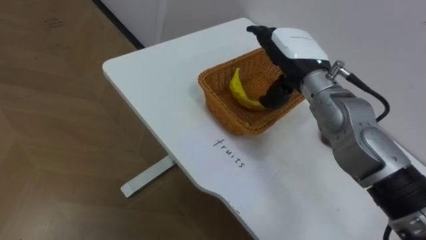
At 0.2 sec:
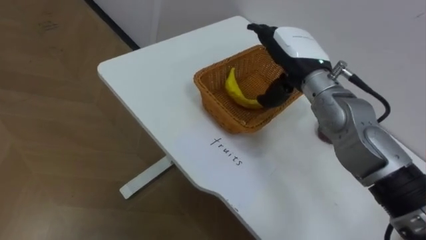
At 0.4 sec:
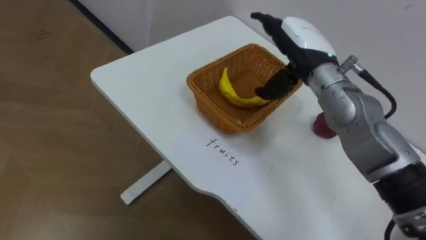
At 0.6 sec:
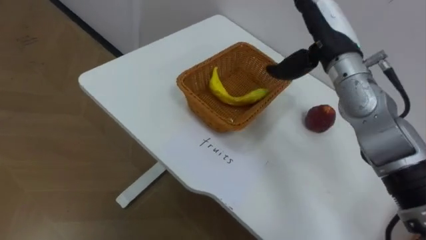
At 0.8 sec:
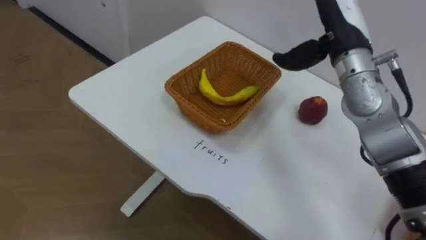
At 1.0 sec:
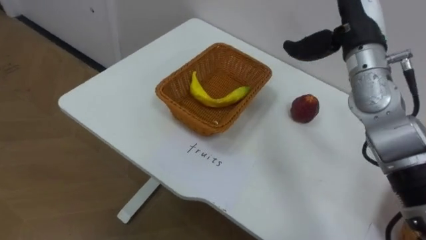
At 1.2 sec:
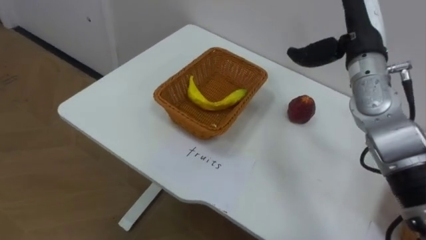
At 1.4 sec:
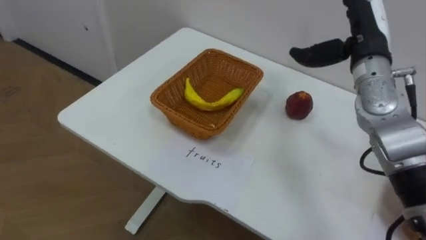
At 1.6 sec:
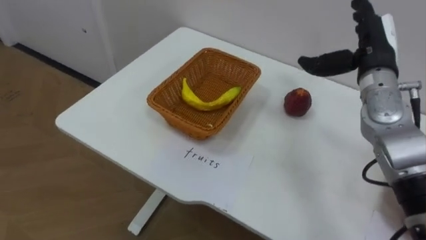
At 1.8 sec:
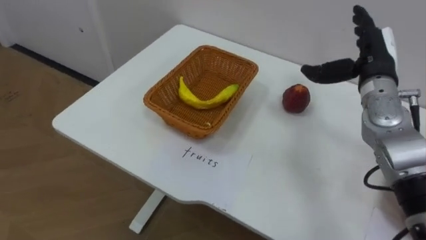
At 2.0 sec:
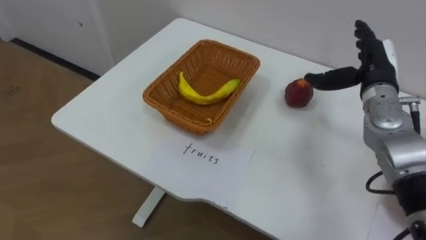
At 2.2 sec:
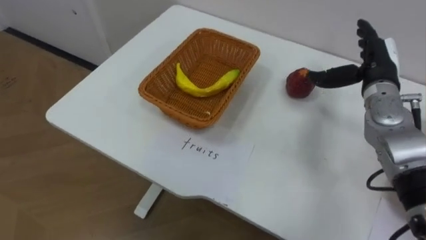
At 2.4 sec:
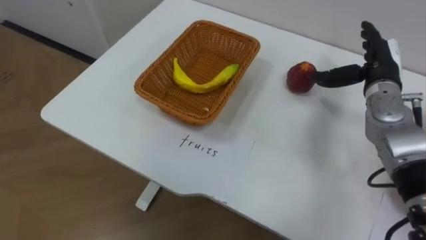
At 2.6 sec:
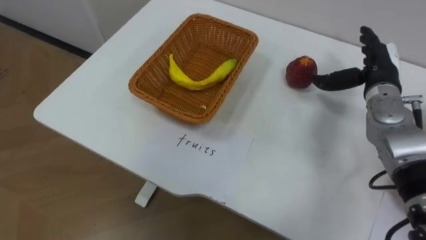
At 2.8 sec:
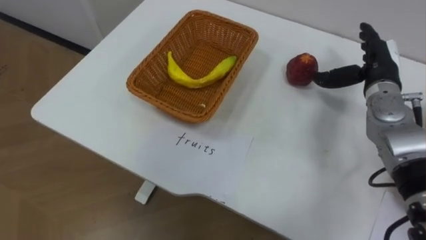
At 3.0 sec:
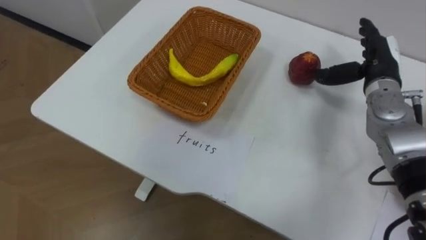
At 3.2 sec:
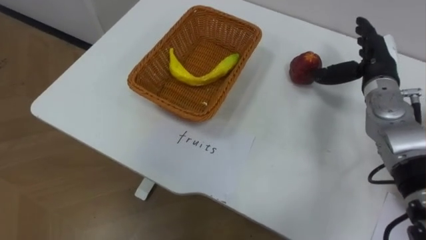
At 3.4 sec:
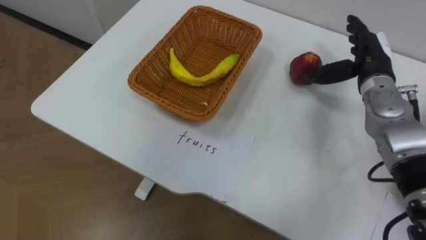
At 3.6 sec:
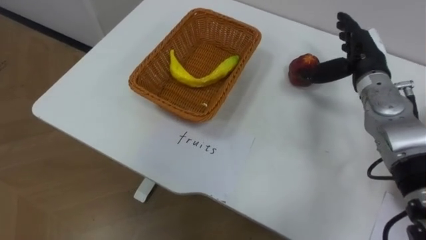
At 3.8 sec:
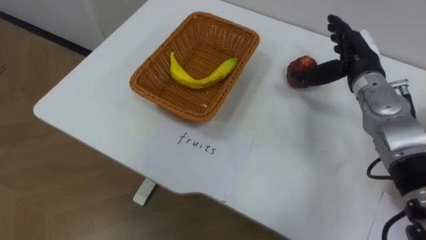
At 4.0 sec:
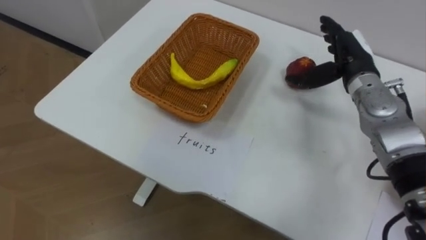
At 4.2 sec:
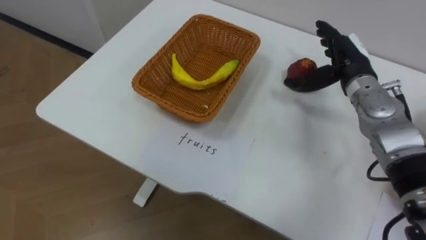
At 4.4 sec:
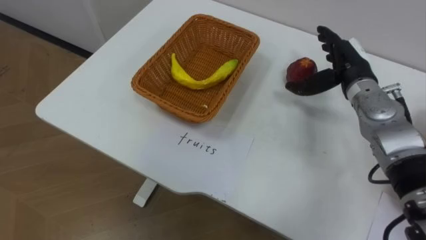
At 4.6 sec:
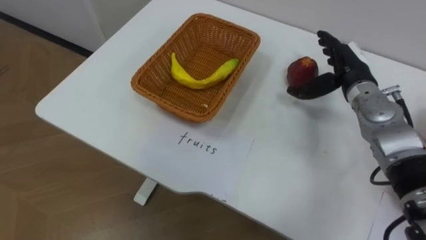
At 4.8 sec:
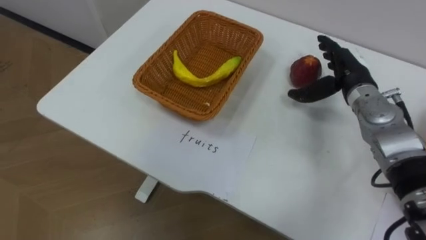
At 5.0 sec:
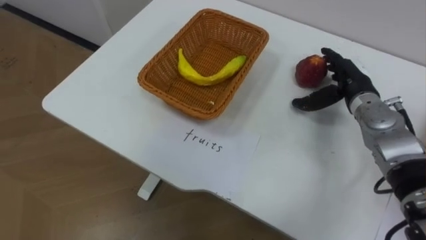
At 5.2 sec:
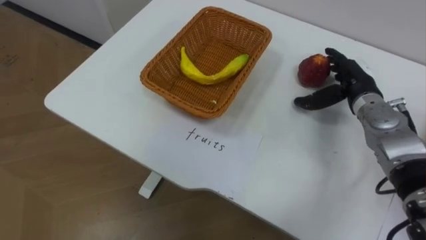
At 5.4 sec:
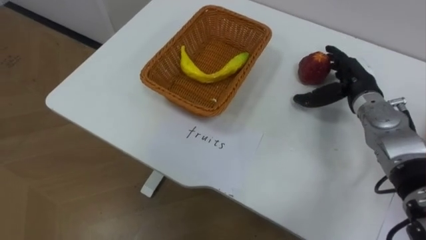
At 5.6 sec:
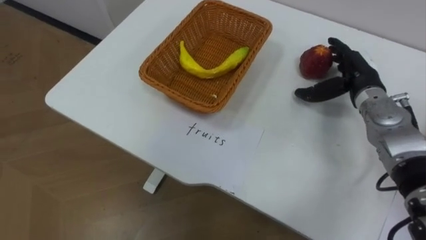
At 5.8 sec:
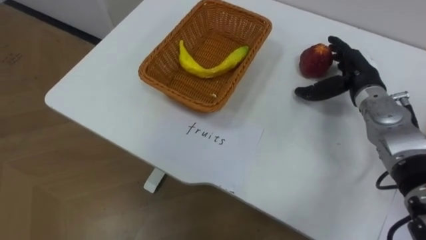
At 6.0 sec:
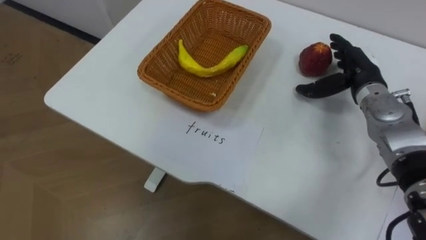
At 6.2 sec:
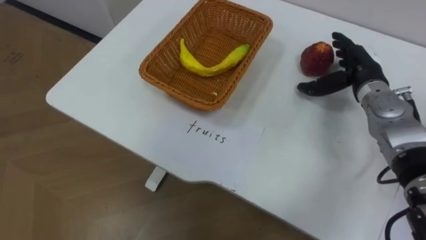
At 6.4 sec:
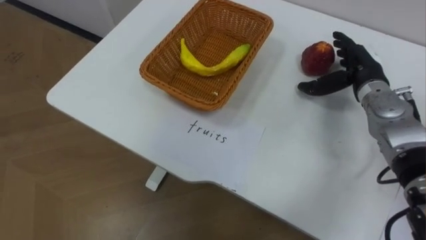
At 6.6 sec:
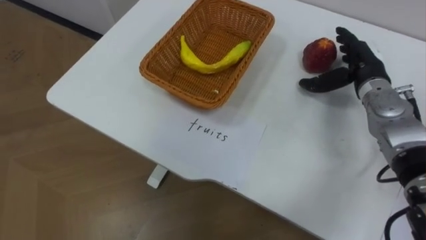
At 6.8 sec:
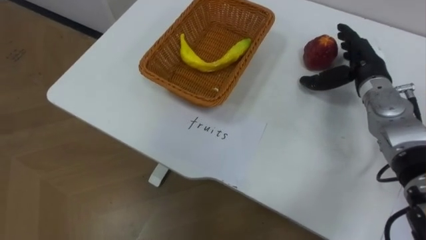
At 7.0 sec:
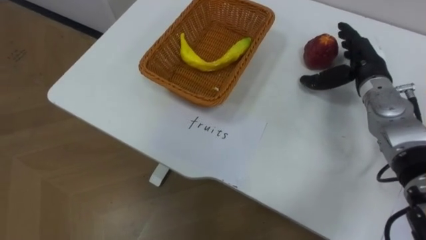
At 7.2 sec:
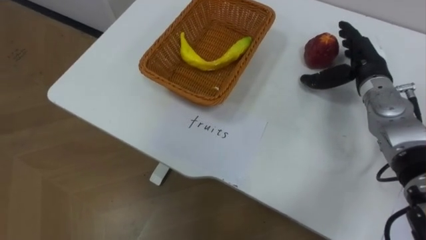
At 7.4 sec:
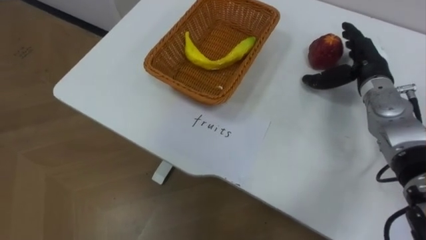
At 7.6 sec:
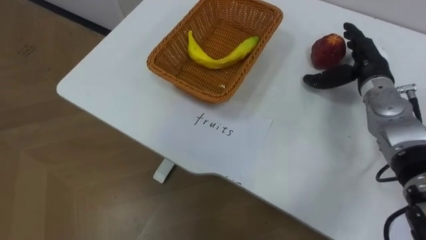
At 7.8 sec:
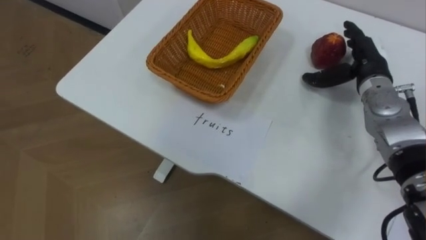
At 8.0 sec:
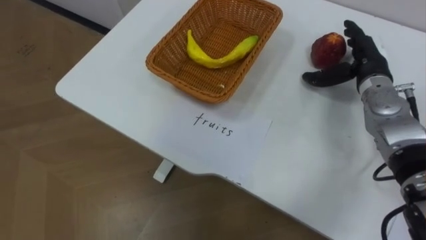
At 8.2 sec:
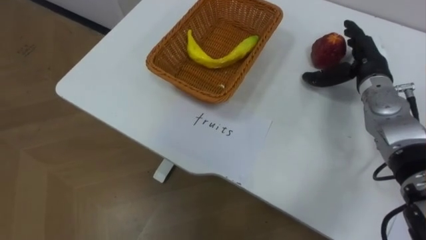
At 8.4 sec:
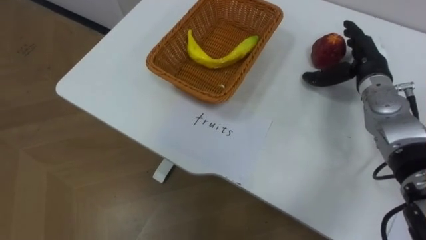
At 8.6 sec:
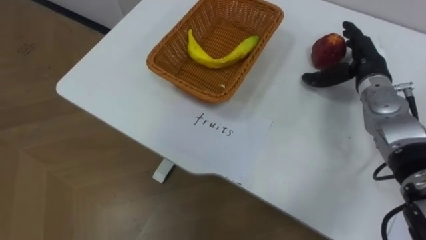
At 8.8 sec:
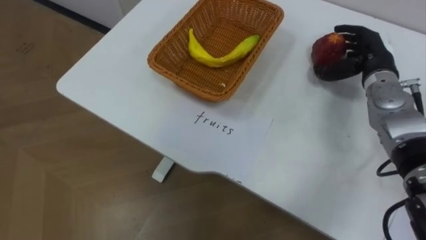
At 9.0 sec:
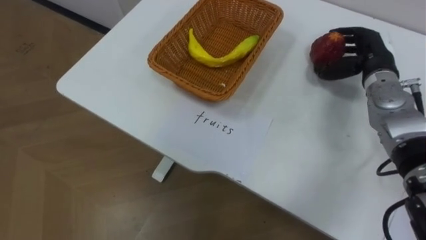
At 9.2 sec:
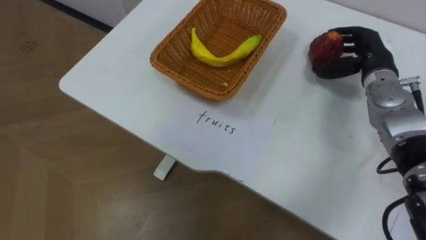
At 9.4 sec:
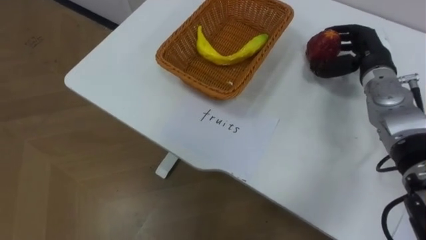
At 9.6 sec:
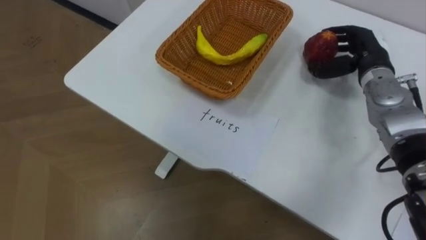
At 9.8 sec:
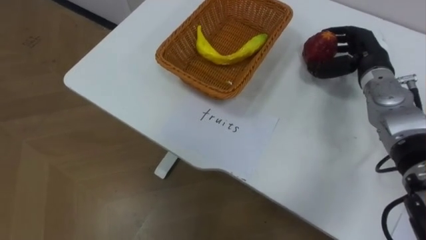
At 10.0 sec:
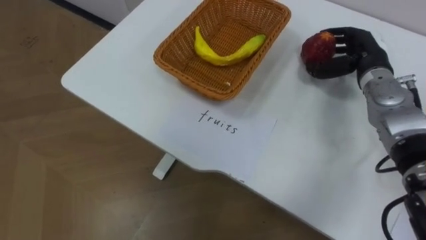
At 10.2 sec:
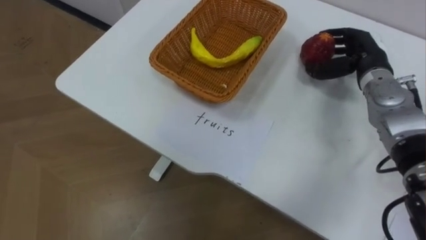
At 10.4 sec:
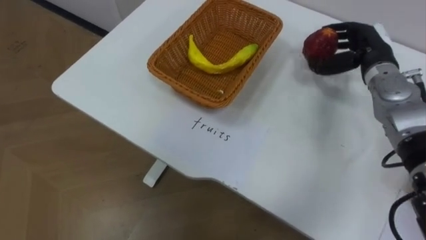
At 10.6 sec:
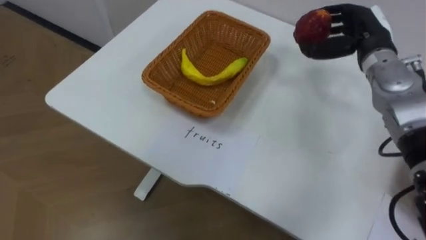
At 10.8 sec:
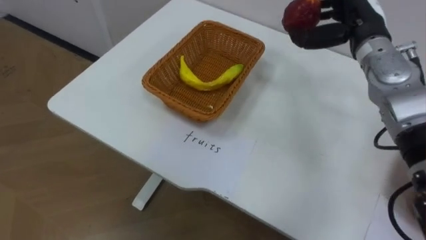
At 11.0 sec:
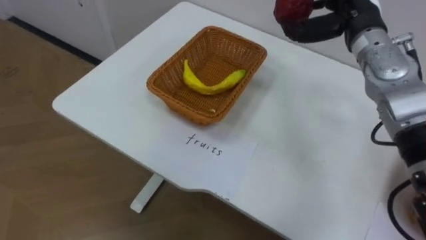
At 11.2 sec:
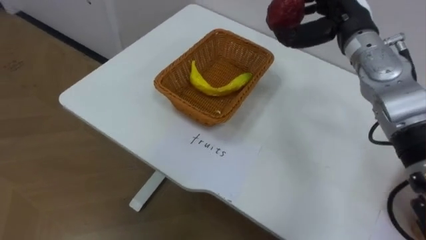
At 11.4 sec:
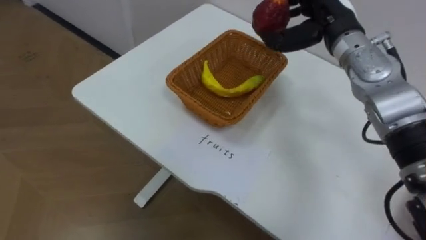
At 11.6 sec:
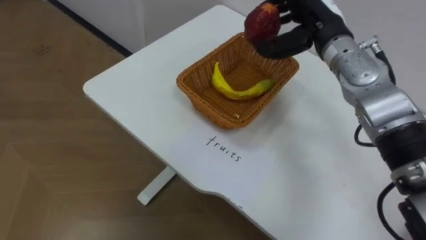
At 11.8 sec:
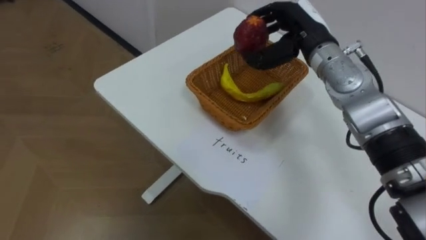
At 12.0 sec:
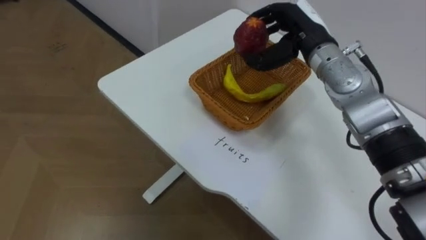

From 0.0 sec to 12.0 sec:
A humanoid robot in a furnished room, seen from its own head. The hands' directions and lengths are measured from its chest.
Task of the whole recording: Separate the items on the table and place them into the two baskets.
From 0.0 sec to 1.6 sec: The right hand moves to the right, some 10 cm.
From 1.6 sec to 3.0 sec: The right hand shifts by about 5 cm.
From 7.6 sec to 9.0 sec: The right hand closes up.
From 10.4 sec to 12.0 sec: The right hand travels to the left by approximately 15 cm.

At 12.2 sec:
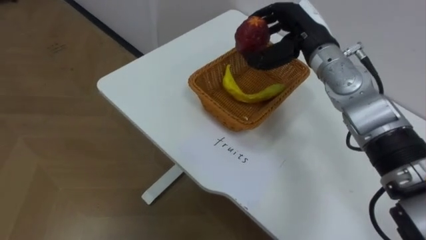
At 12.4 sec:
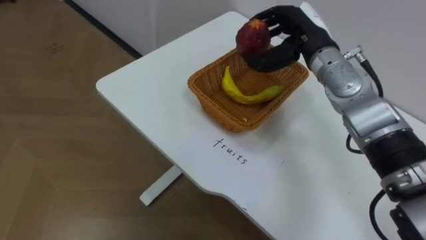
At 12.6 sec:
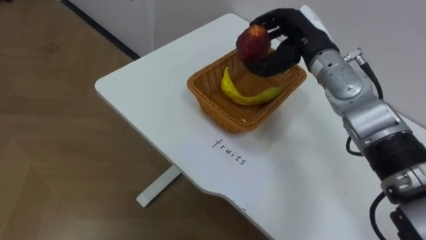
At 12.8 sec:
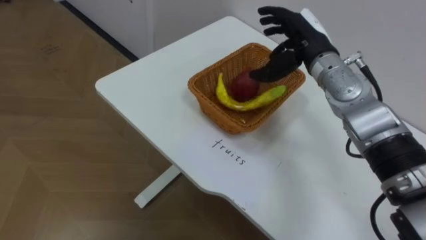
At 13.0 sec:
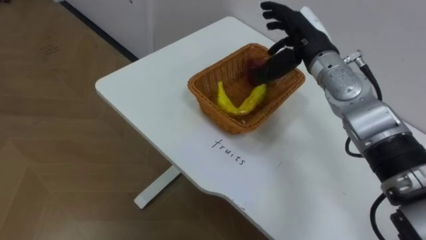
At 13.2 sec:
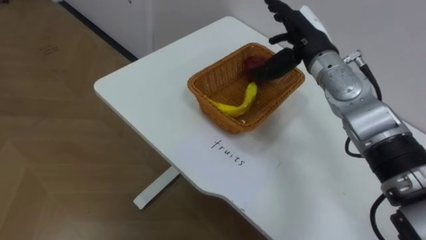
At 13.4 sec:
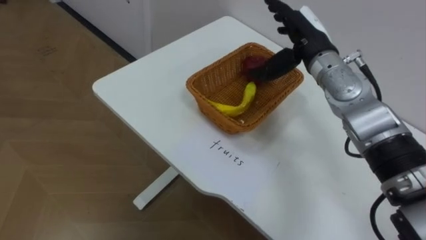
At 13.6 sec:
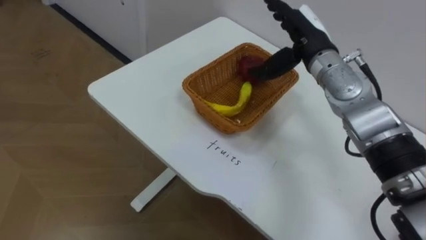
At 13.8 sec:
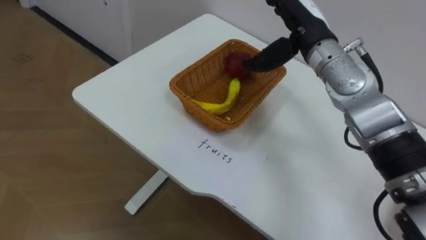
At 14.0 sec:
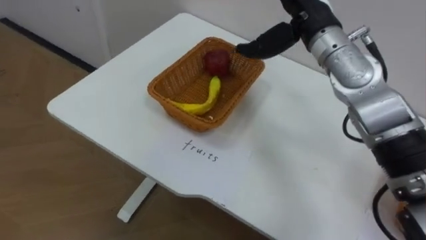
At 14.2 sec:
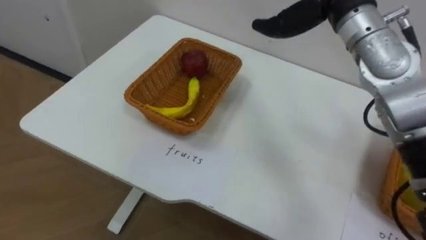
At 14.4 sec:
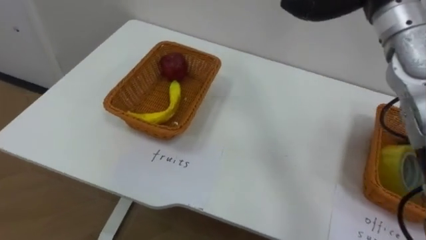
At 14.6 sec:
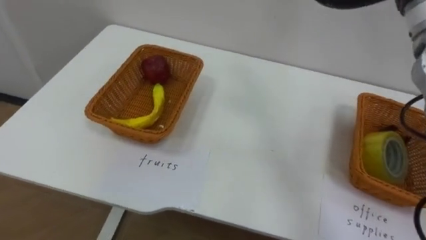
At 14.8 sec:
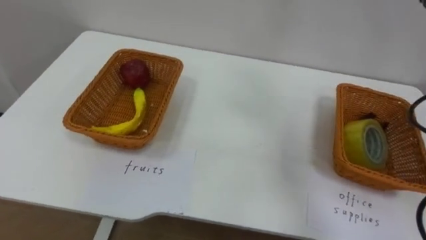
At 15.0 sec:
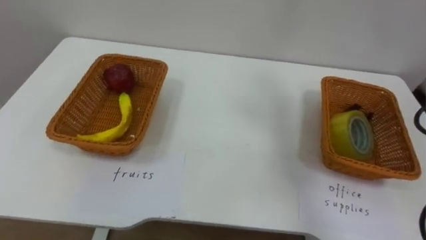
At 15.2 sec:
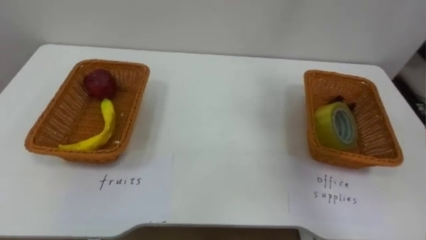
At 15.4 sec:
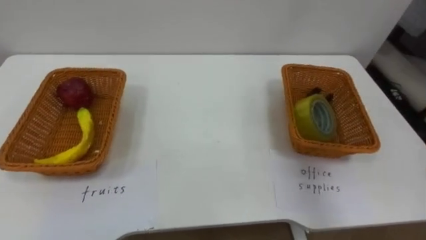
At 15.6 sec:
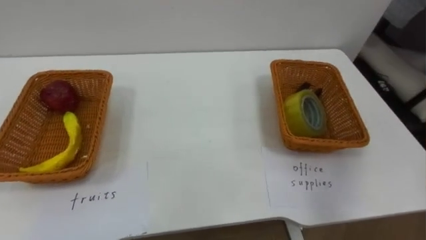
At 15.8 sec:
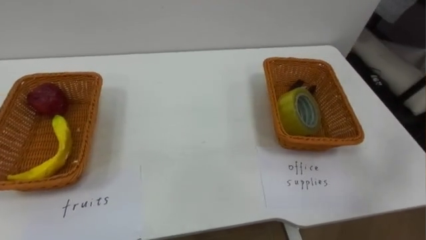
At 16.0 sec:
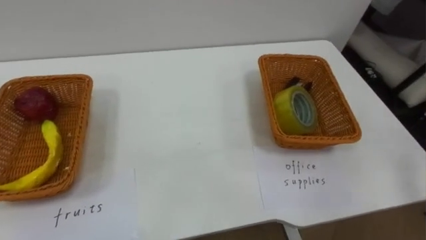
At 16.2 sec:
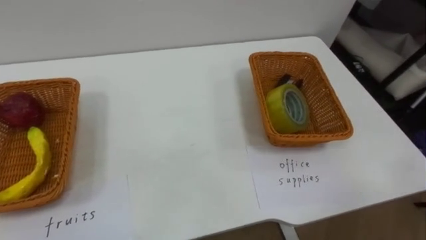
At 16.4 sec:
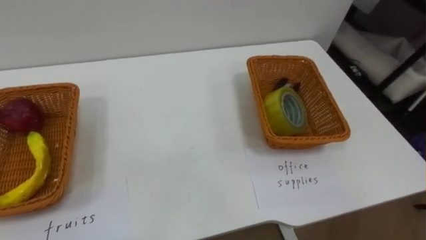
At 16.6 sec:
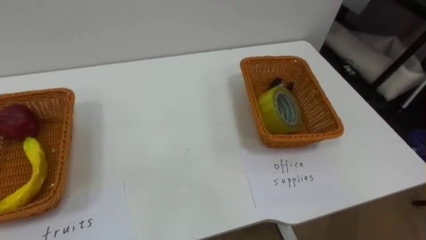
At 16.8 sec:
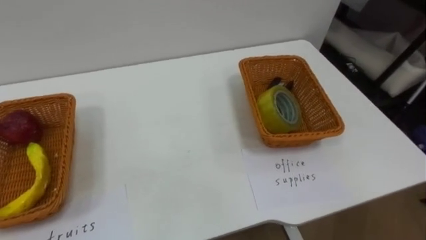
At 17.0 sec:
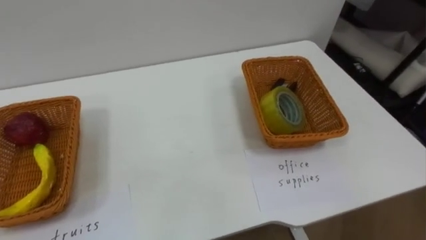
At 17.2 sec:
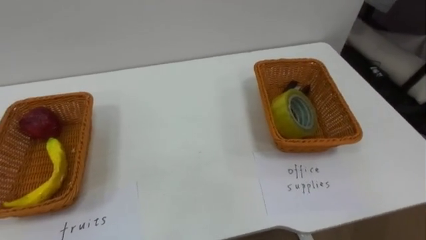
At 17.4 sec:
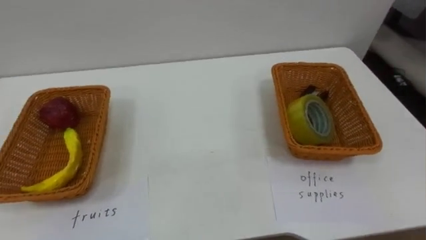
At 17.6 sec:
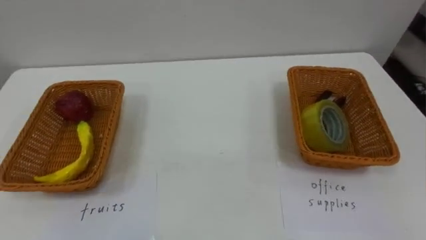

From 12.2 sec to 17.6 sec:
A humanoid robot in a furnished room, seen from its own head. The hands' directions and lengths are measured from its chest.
Task of the whole recording: Separate the items on the table and place them into the two baskets.
From 12.2 sec to 13.6 sec: The right hand opens up.
